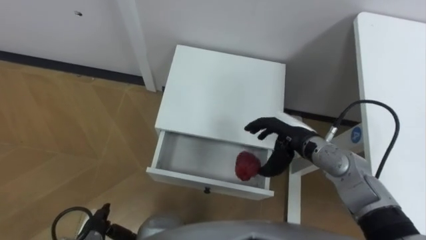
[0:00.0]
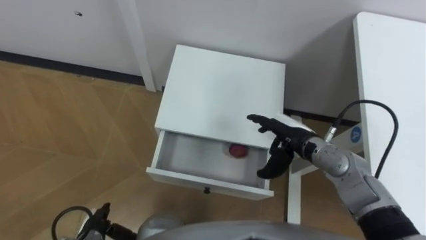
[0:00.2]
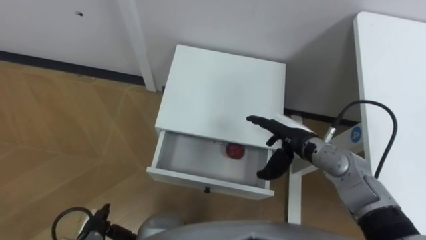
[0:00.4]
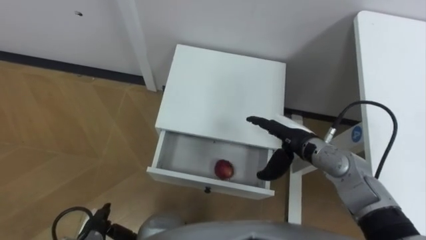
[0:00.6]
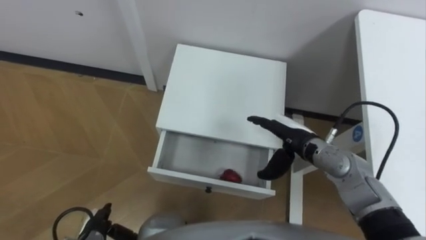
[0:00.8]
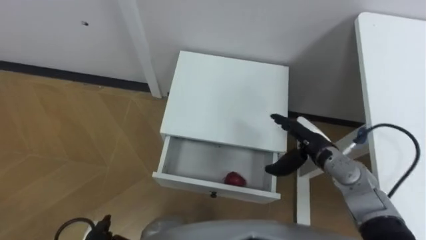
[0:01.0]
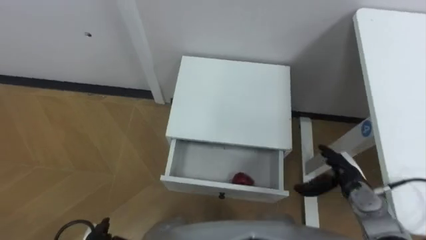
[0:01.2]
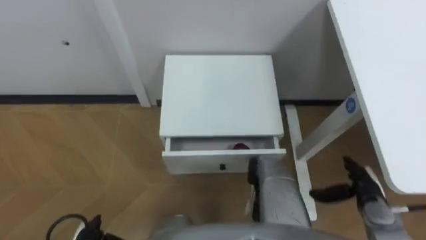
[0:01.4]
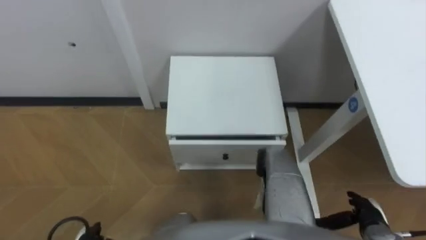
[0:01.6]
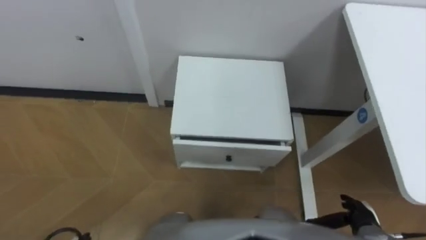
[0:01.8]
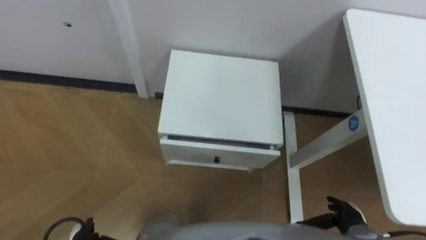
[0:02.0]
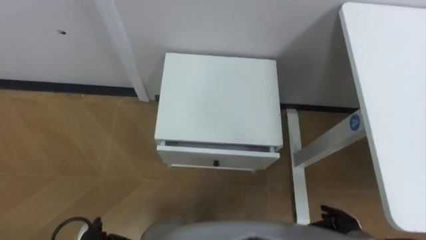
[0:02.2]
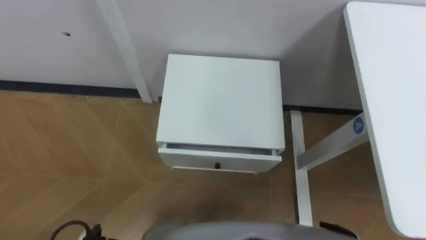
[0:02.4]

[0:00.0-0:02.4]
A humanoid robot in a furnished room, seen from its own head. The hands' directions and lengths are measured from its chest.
Task of the whole recording: Pick up the apple from the table, put it in the drawer, and close the drawer with leg.
0:00.0 to 0:01.2: The right hand travels to the right, downward and backward by approximately 15 cm.
0:01.2 to 0:02.4: The right hand goes about 15 cm backward and downward.

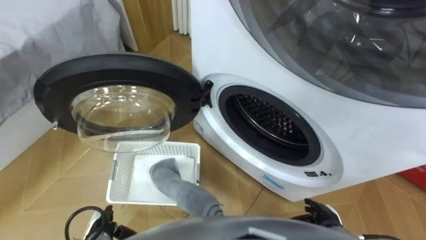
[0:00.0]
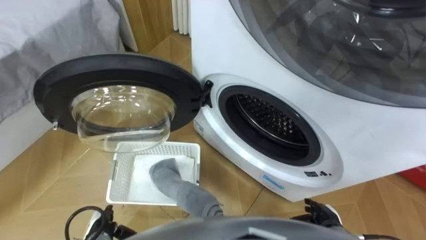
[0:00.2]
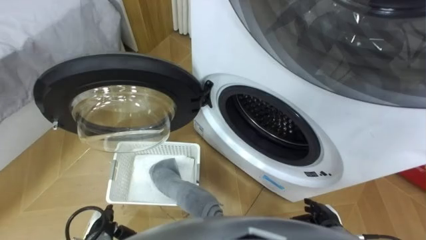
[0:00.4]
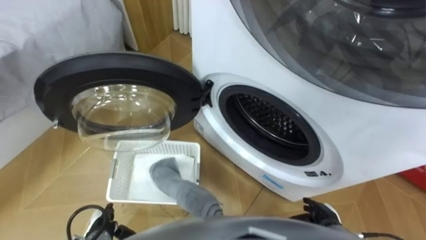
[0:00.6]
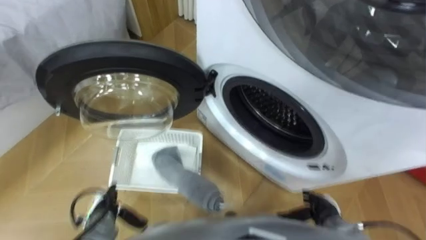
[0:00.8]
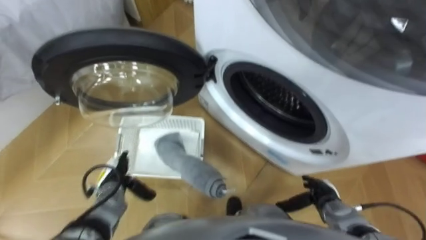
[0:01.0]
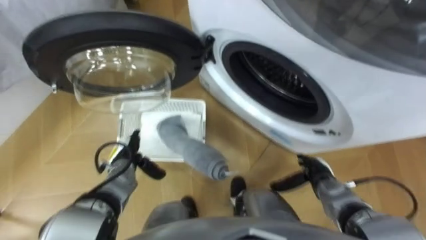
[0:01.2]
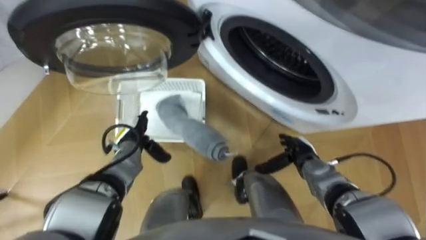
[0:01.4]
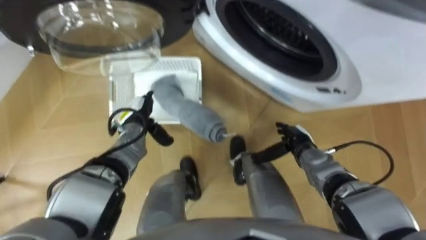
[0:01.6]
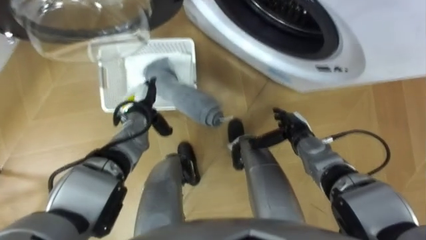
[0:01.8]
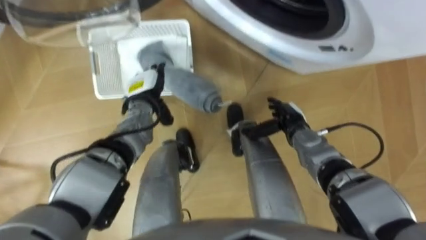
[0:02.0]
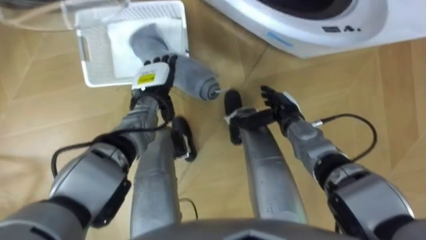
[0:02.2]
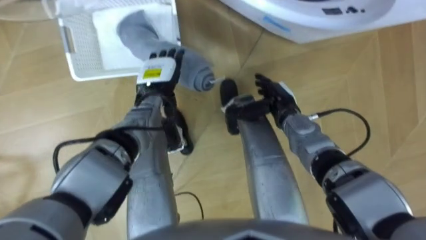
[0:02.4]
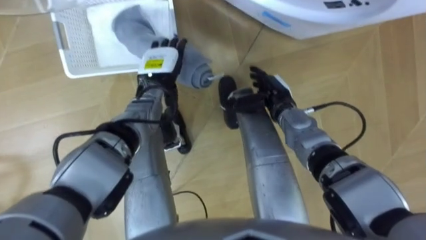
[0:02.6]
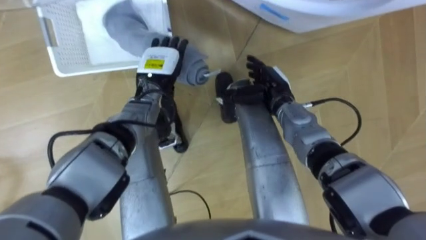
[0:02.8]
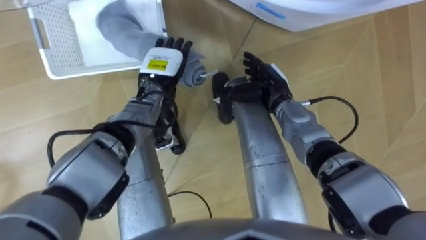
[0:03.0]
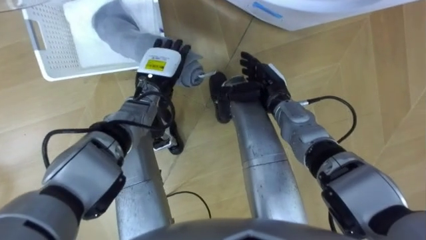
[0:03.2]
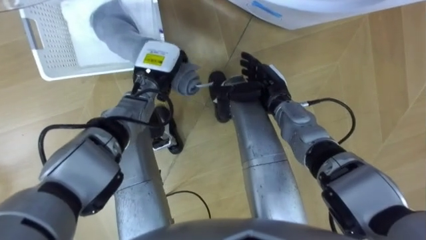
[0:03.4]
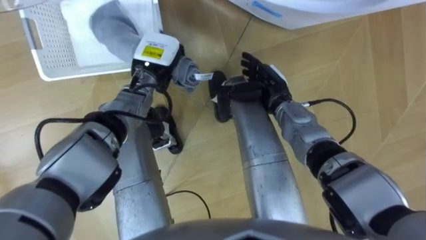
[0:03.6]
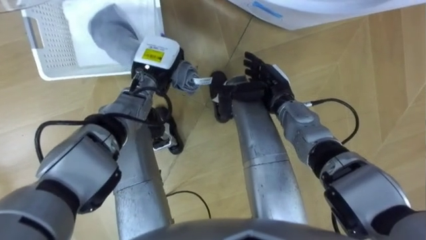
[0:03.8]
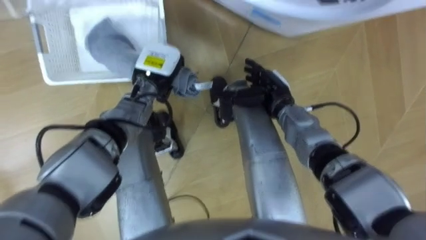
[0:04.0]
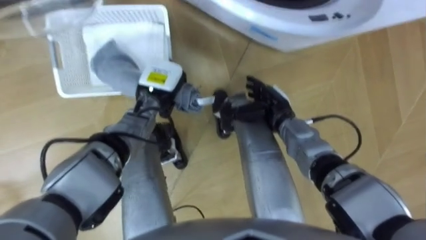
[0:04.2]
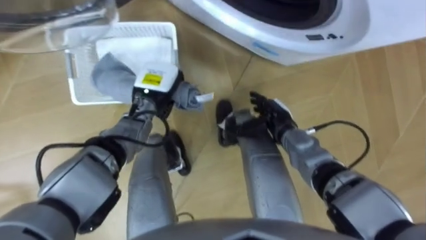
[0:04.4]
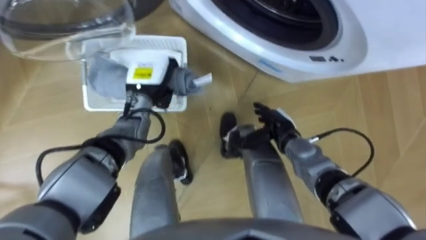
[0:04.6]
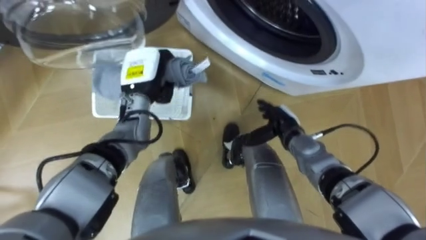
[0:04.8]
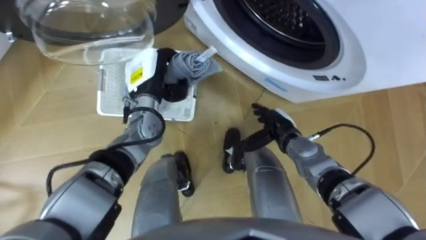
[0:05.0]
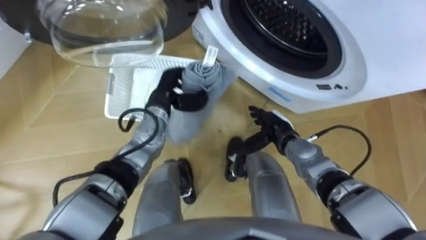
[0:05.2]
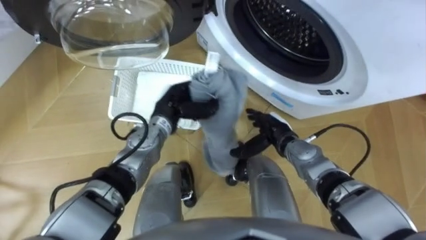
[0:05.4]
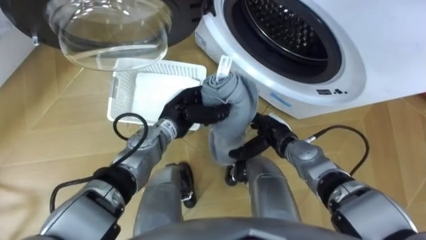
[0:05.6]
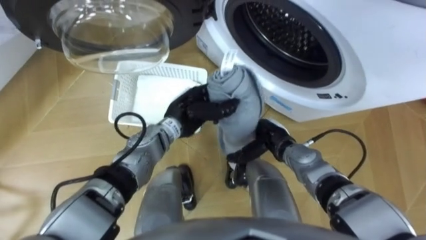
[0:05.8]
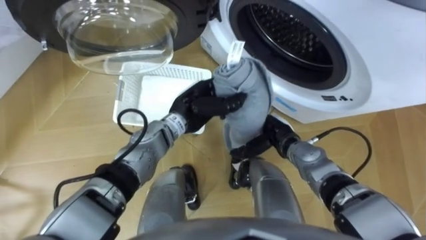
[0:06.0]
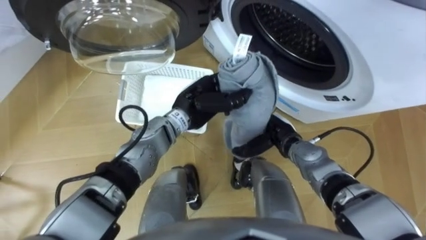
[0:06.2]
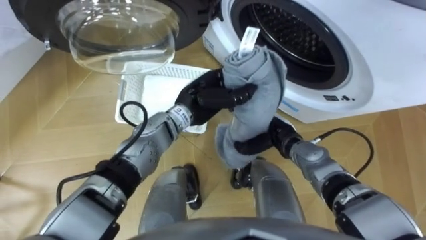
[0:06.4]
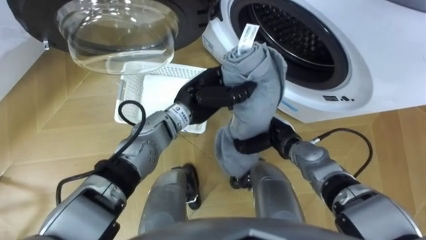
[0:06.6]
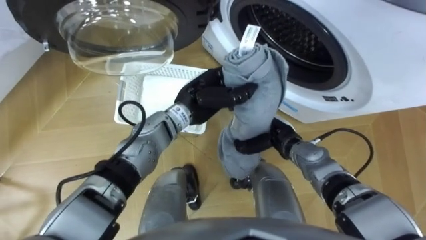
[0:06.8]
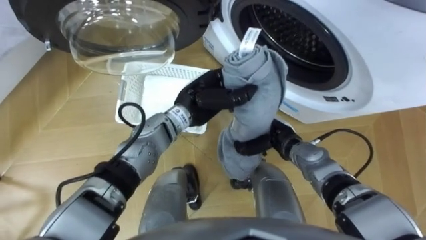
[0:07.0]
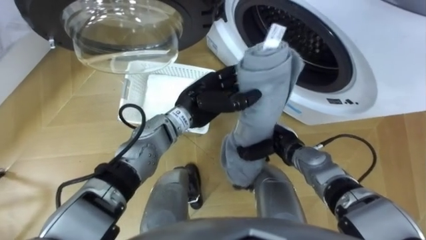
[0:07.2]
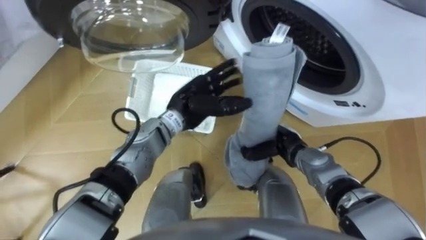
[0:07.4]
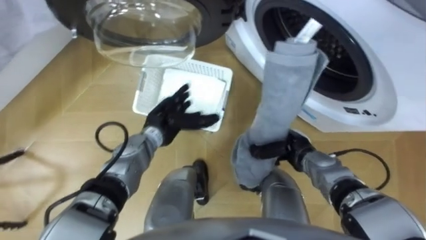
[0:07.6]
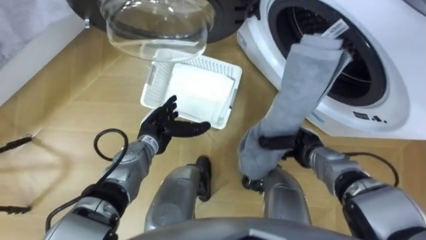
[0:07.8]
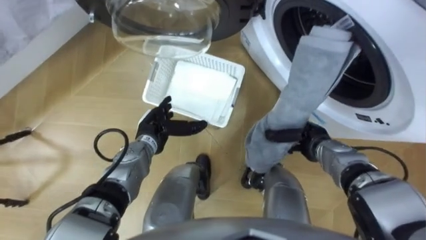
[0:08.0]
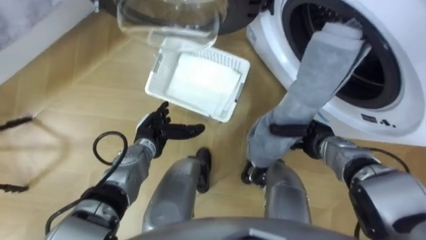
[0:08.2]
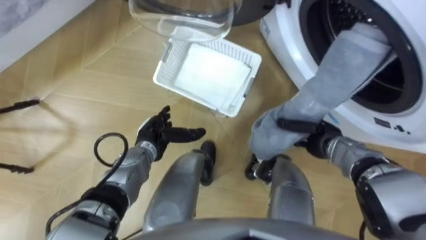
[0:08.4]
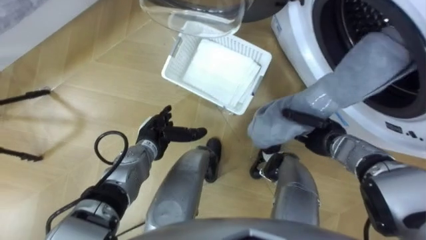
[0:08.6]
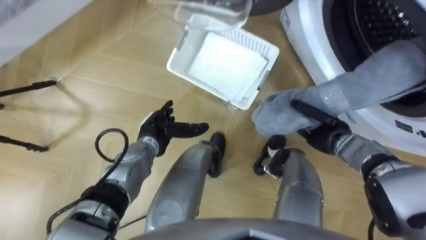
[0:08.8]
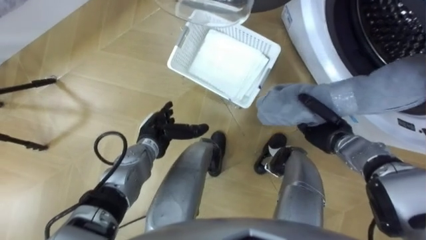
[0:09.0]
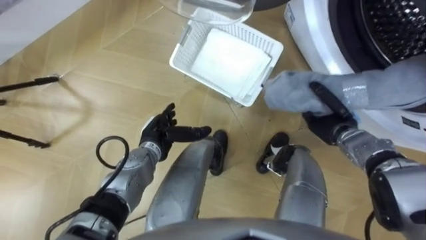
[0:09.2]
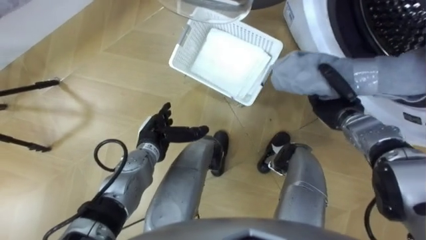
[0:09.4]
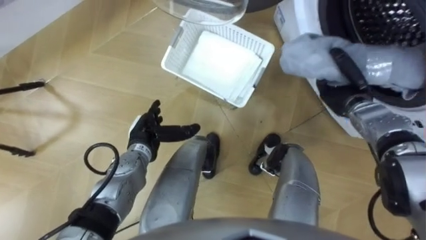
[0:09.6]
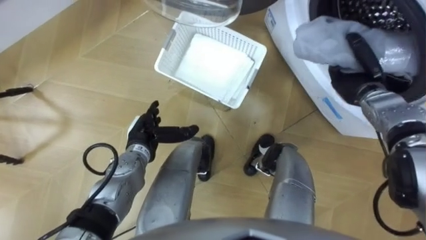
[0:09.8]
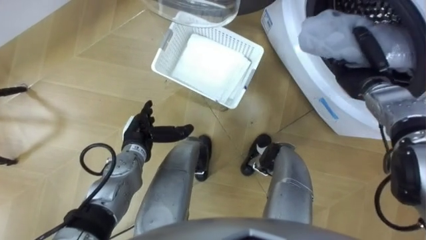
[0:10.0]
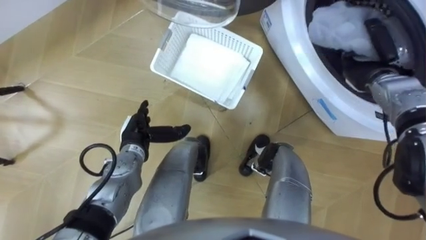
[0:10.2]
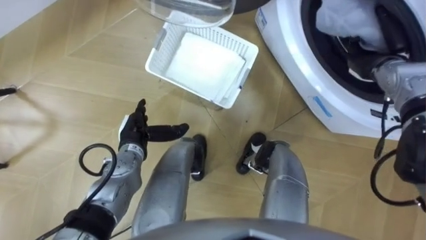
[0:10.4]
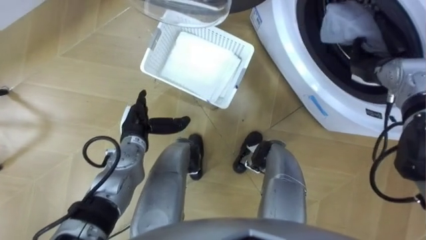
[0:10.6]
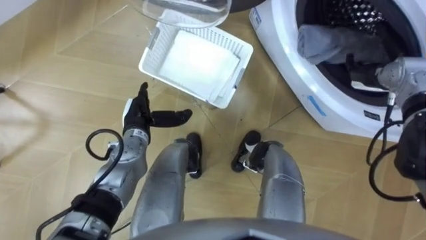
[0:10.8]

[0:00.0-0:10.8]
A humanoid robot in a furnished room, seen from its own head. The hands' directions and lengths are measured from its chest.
Task of the whole recording: Take the towel from the basket and put it into the washing machine.
0:01.6 to 0:03.0: The right hand heads forward, upward and to the left, covering roughly 15 cm. The left hand travels upward, forward and to the right by approximately 15 cm.
0:03.0 to 0:04.6: The right hand shifts approximately 10 cm backward and downward; the left hand closes.
0:04.6 to 0:06.2: The left hand shifts approximately 10 cm to the right.
0:06.2 to 0:07.8: The left hand travels to the left and downward by approximately 10 cm, and opens; the right hand travels to the right by approximately 5 cm, and closes.
0:07.8 to 0:09.2: The right hand shifts approximately 5 cm to the right.
0:09.2 to 0:10.8: The left hand moves about 5 cm. The right hand shifts roughly 15 cm upward, forward and to the right, and opens its fingers.

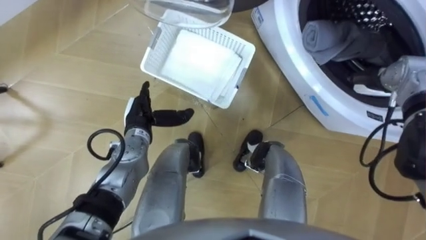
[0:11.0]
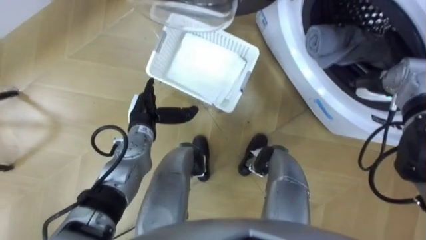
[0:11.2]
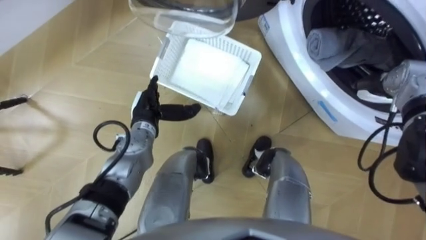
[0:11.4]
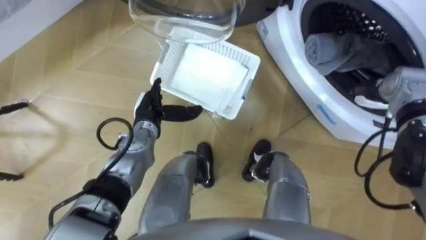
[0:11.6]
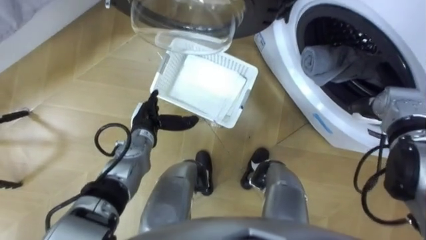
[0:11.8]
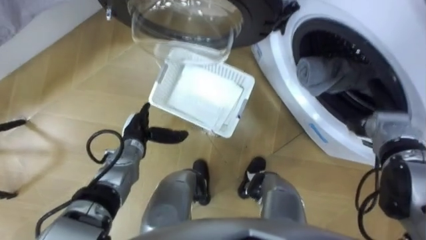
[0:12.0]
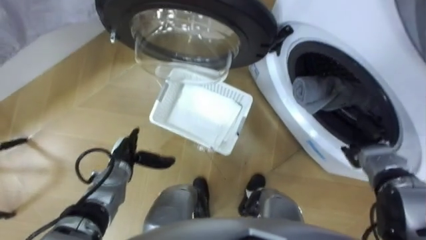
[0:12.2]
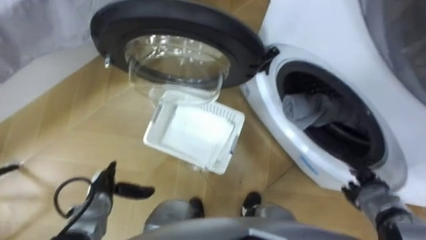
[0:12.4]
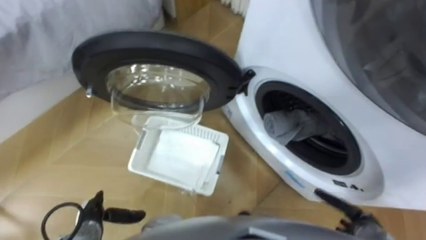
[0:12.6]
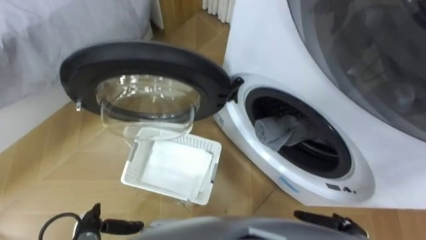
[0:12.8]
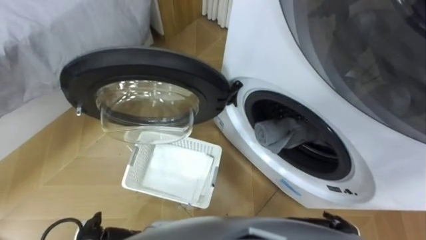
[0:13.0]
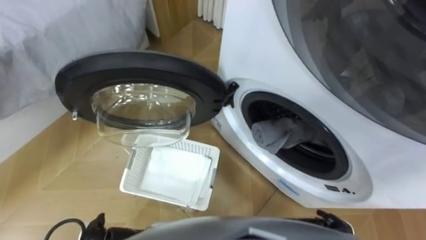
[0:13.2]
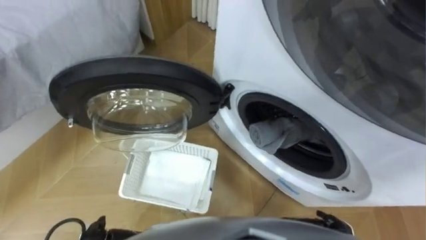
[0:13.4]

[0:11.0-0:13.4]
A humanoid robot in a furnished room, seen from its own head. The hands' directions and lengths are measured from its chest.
Task of the whole recording: Take the towel from the basket and put it into the washing machine.
0:11.0 to 0:12.2: The right hand moves backward and downward, roughly 15 cm, while the left hand is displaced downward by some 5 cm.
0:12.2 to 0:13.4: The right hand travels backward, downward and to the left by approximately 20 cm.
